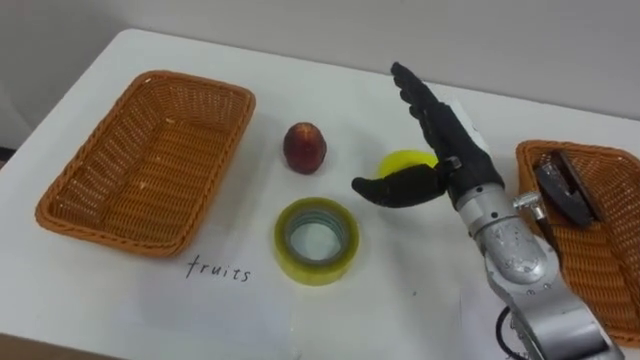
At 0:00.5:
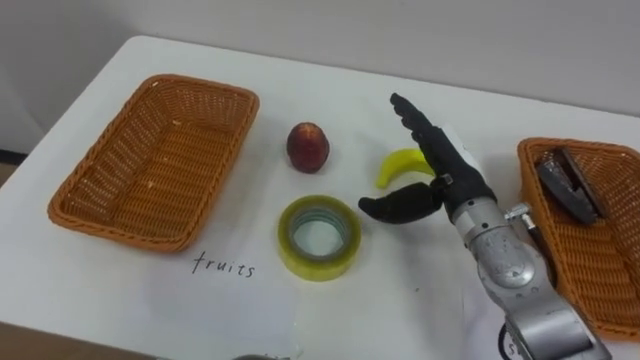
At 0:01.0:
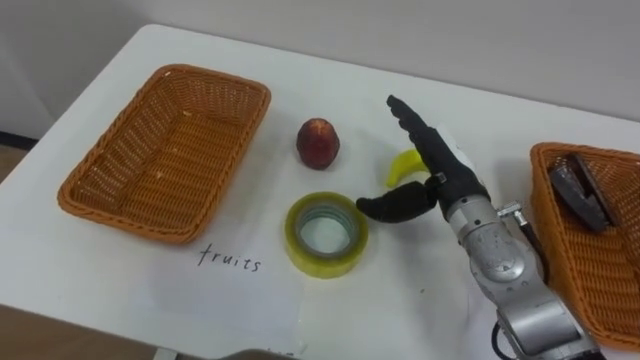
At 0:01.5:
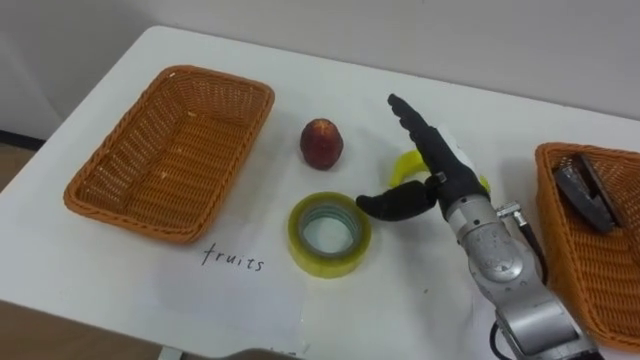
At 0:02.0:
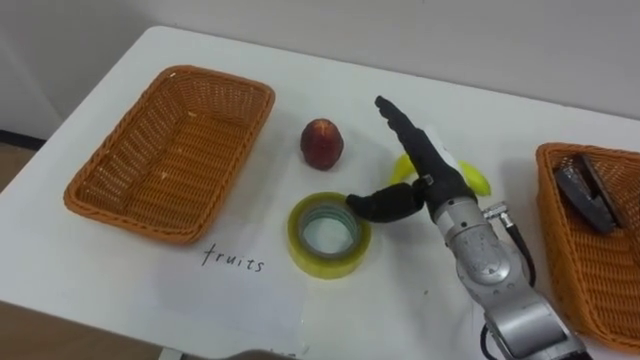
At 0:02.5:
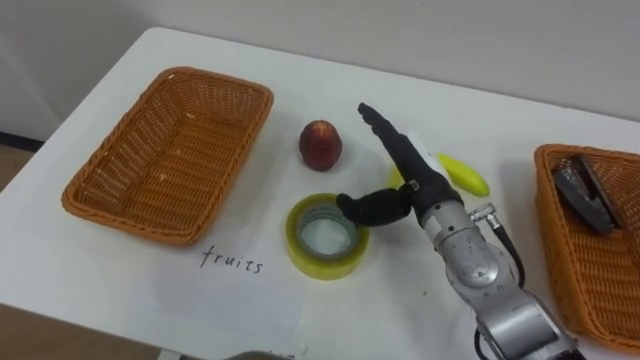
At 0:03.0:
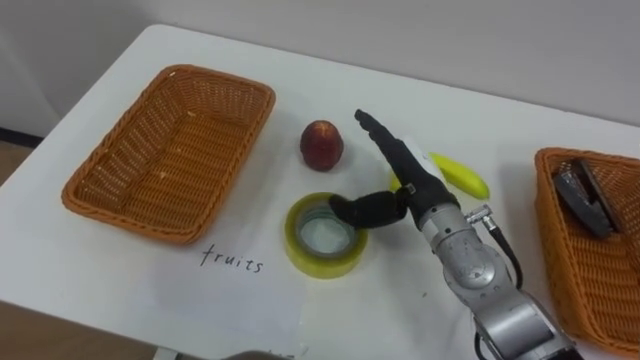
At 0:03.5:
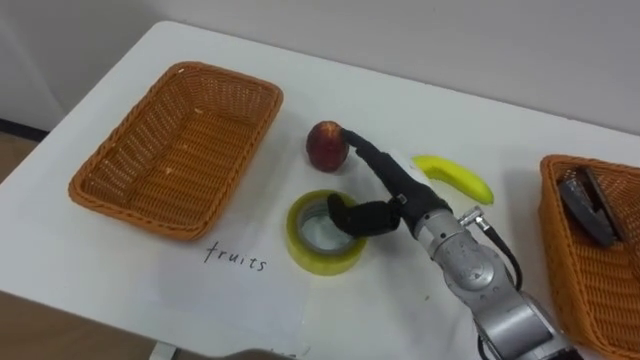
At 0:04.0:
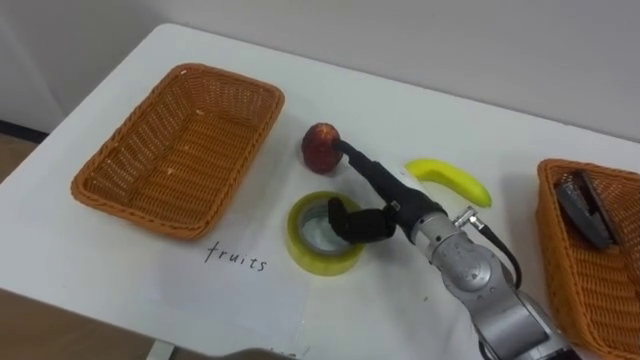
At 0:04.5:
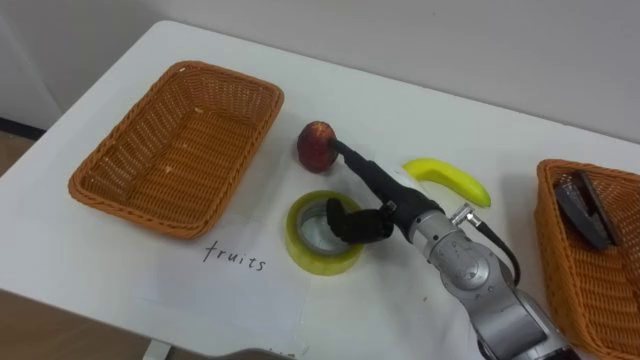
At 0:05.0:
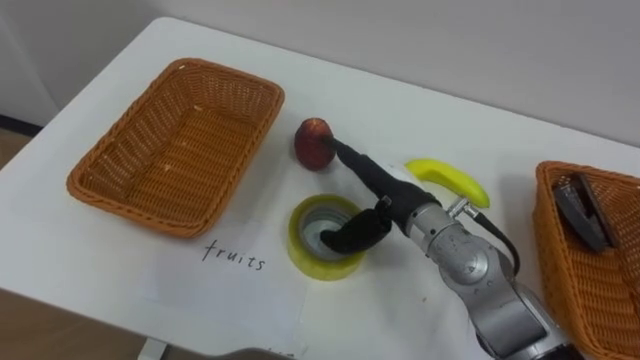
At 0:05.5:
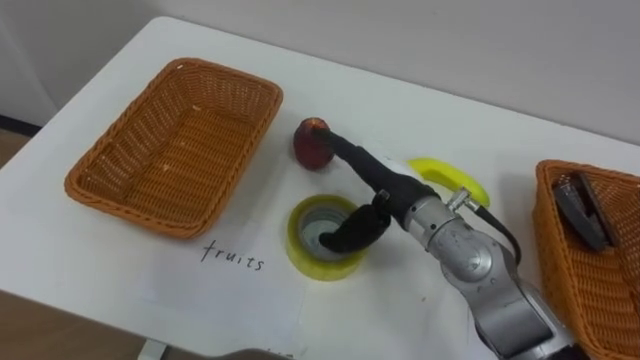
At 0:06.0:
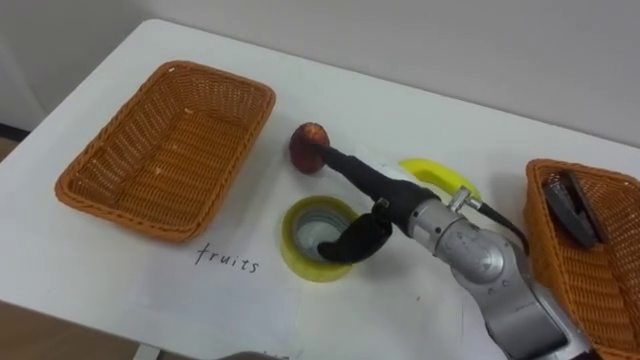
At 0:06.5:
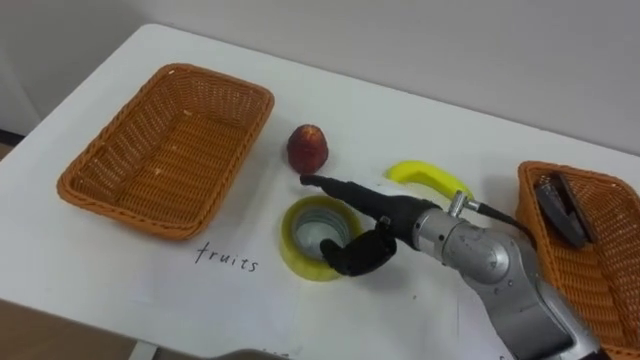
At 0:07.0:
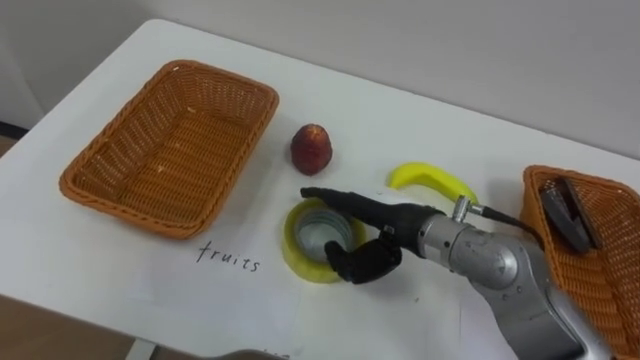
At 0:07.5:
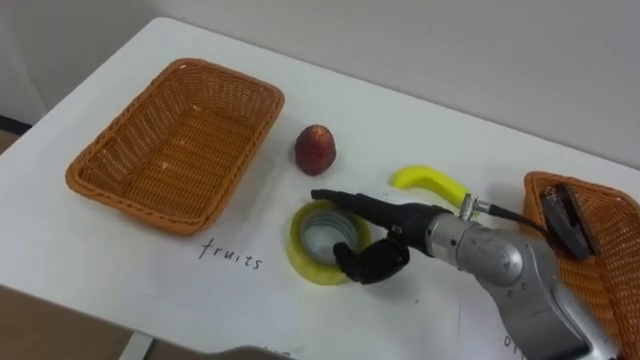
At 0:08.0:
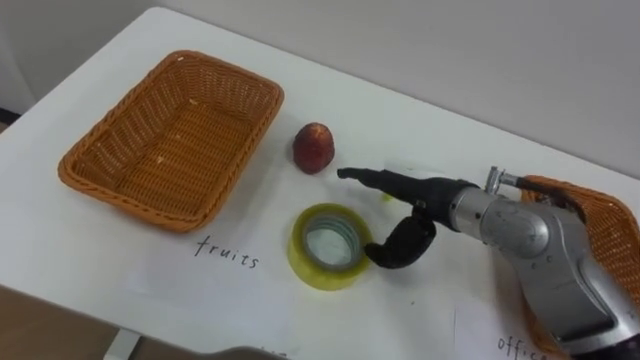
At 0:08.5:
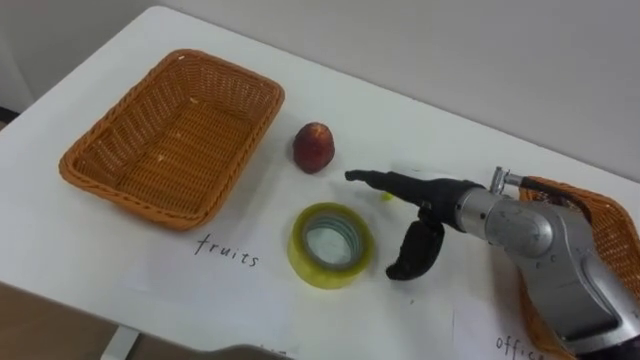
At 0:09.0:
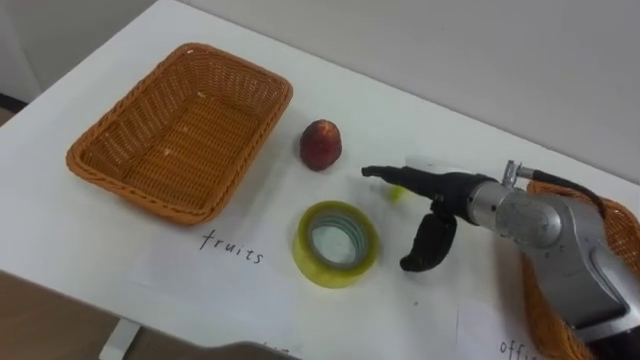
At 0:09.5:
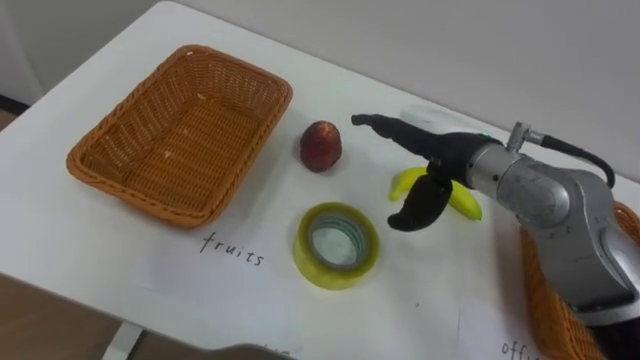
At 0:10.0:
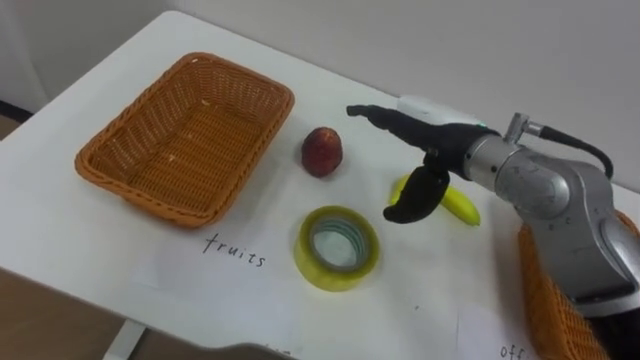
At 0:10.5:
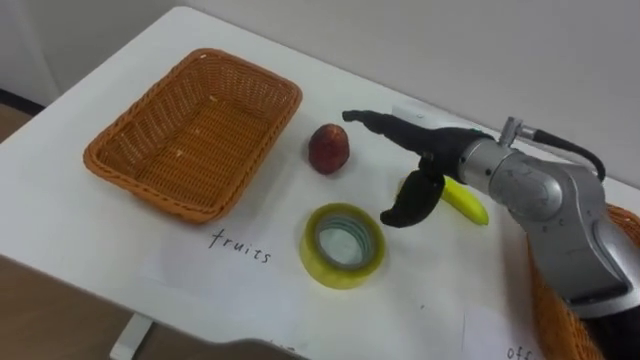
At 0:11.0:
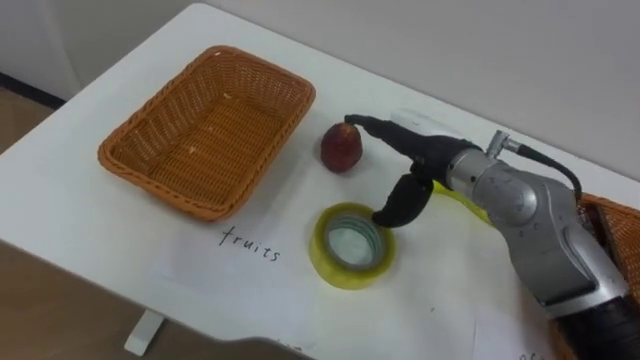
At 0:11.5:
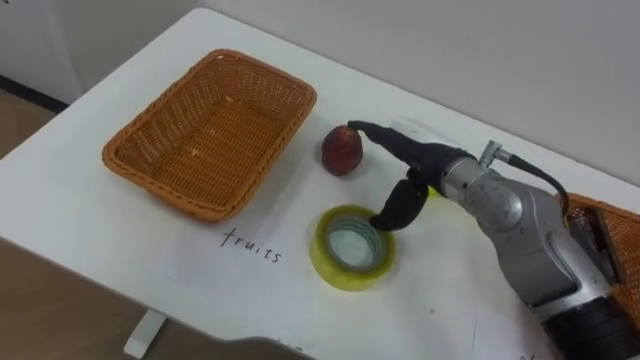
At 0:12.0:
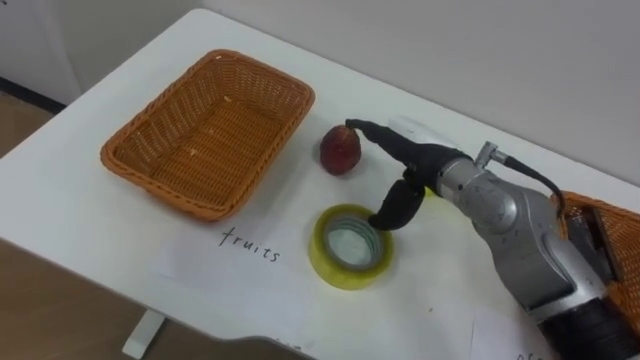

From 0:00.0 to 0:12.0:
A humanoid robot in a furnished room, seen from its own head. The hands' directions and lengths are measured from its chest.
Task of the whole recording: Separate the items on the table and place them into the two baskets.
From 0:02.0 to 0:04.0: The right hand moves about 5 cm.
From 0:08.0 to 0:10.0: The right hand goes approximately 5 cm upward.

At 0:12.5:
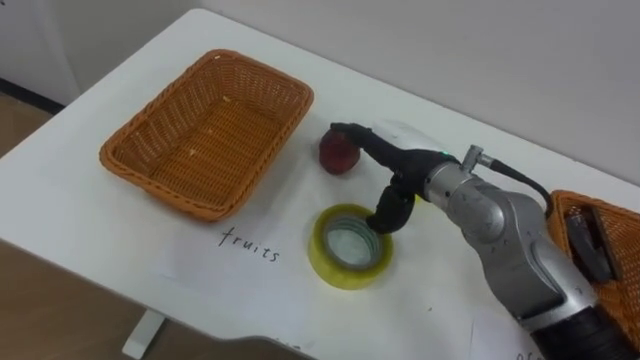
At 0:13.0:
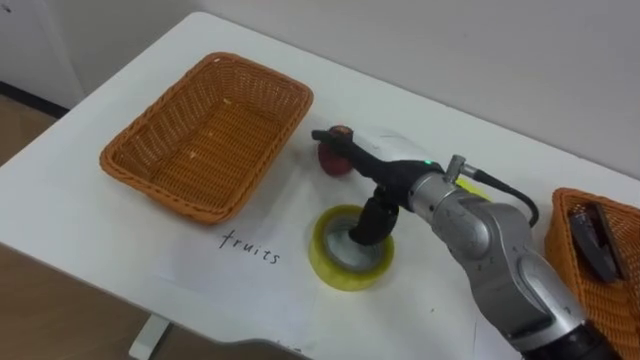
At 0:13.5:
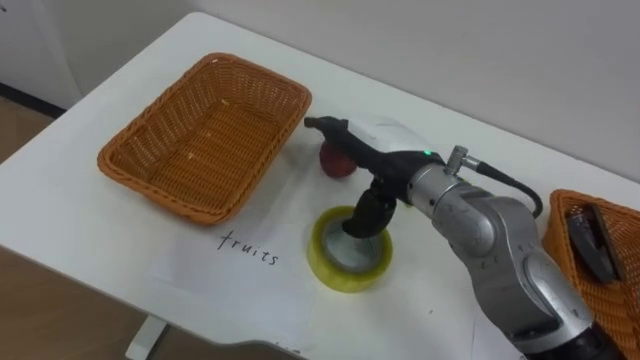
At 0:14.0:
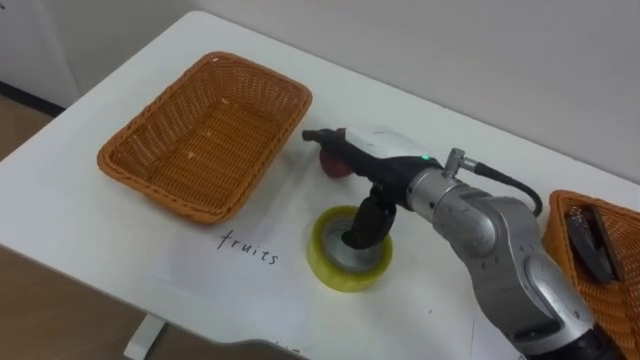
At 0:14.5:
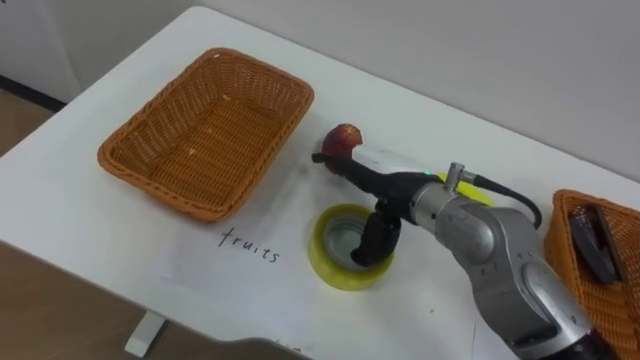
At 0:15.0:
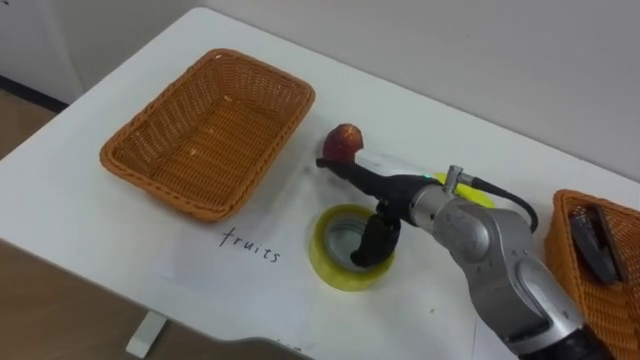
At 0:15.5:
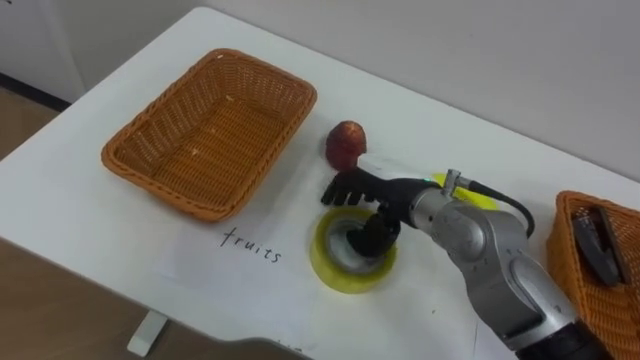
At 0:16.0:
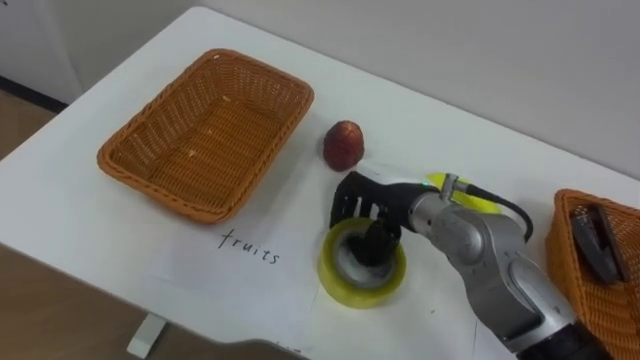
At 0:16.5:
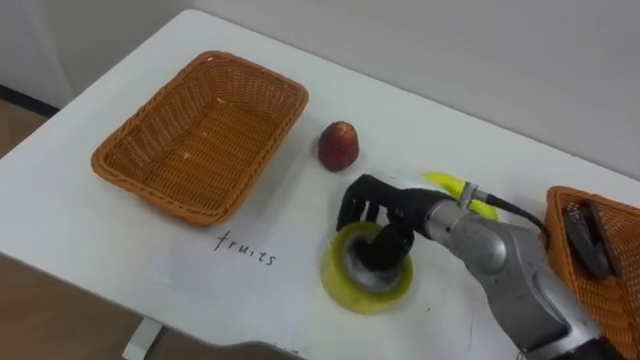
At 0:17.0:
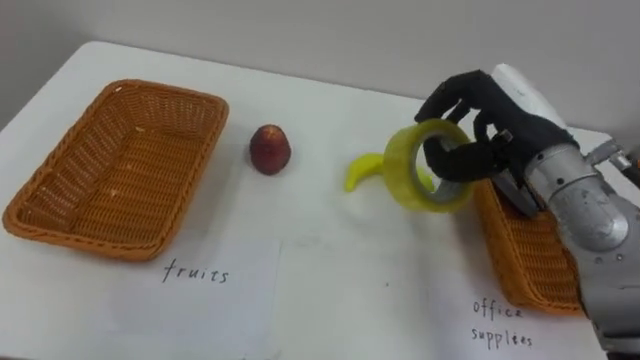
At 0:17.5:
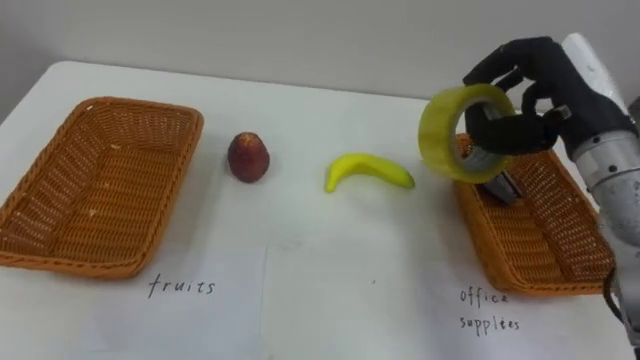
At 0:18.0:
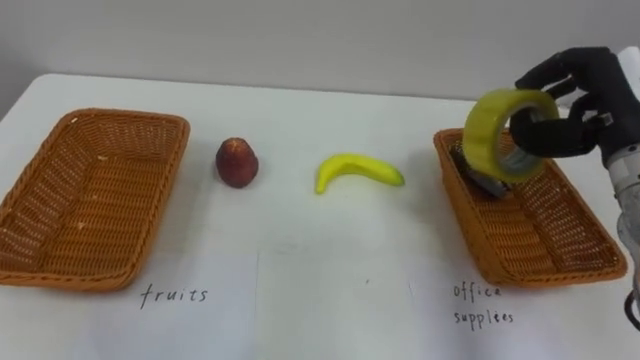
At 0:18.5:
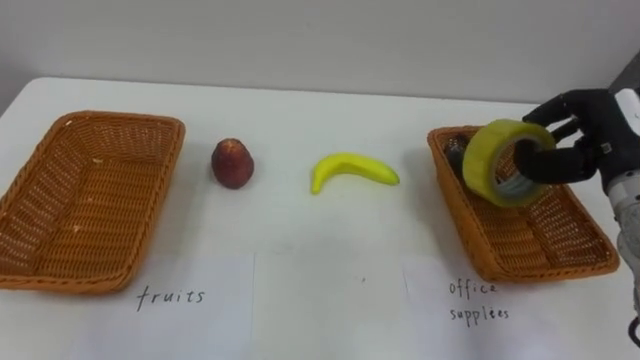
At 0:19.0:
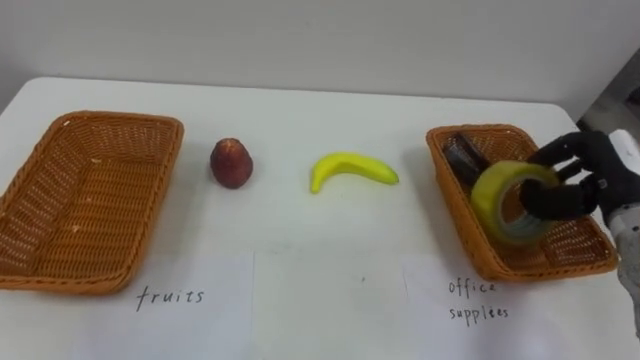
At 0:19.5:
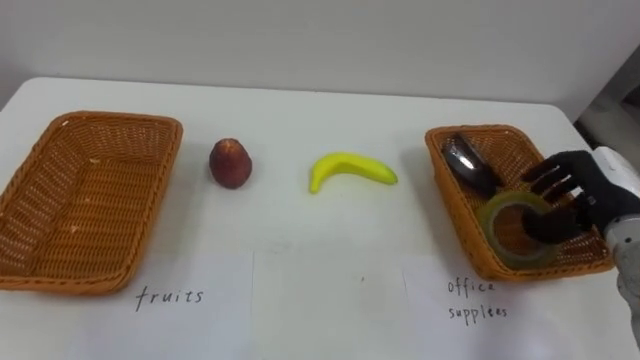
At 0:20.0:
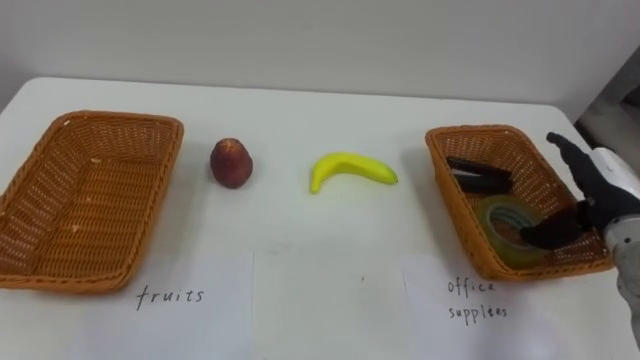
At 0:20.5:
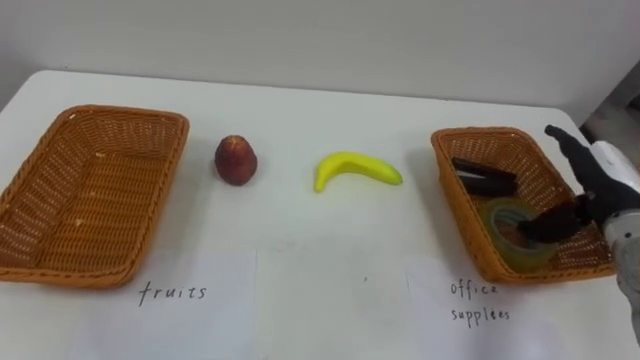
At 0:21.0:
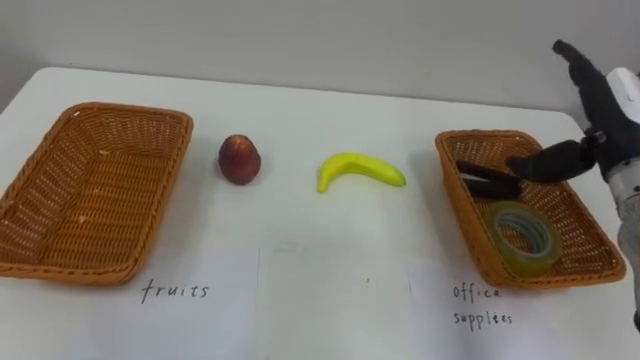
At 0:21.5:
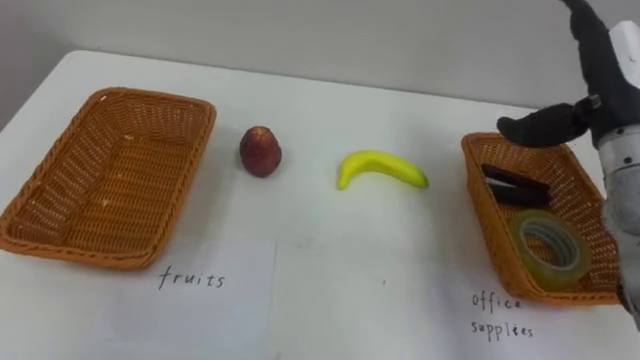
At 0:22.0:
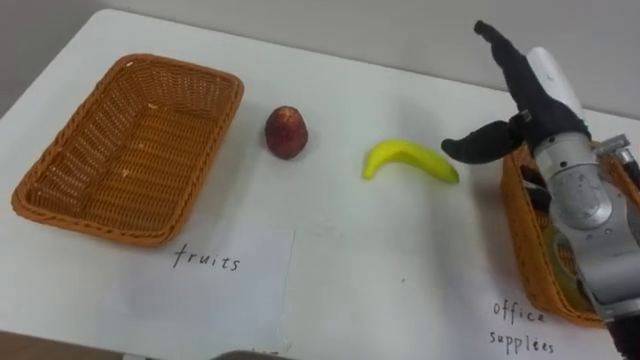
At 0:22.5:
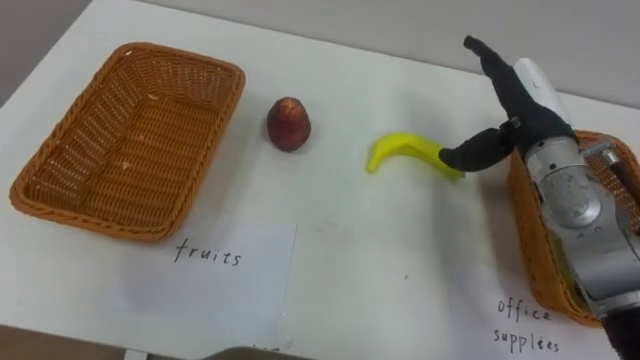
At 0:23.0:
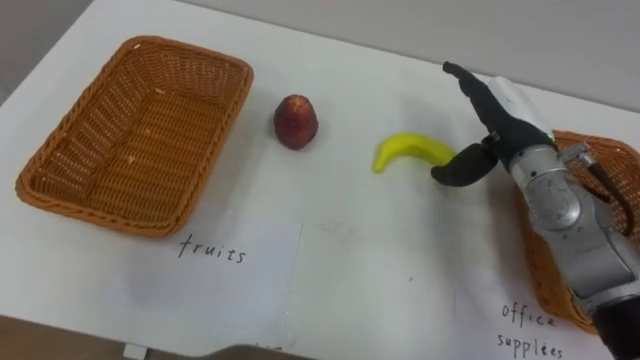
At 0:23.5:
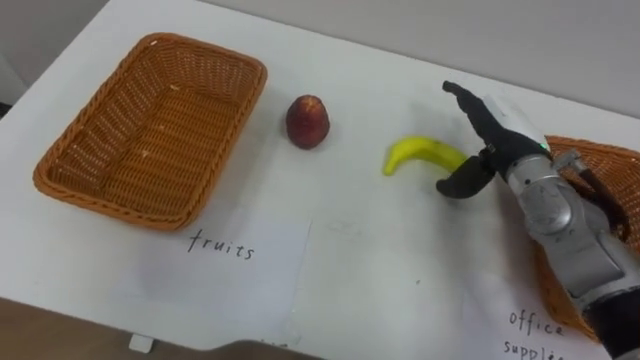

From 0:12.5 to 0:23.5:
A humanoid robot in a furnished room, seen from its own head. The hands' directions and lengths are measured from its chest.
Task of the whole recording: Separate the items on the table and place them into the two baskets.
From 0:14.5 to 0:16.0: The right hand closes up.
From 0:16.0 to 0:18.0: The right hand moves to the right and upward, roughly 25 cm.
From 0:18.0 to 0:20.0: The right hand moves downward, approximately 10 cm, and opens.
From 0:20.0 to 0:21.5: The right hand is displaced upward by approximately 15 cm.
From 0:21.5 to 0:23.5: The right hand is displaced downward and to the left by some 10 cm.
